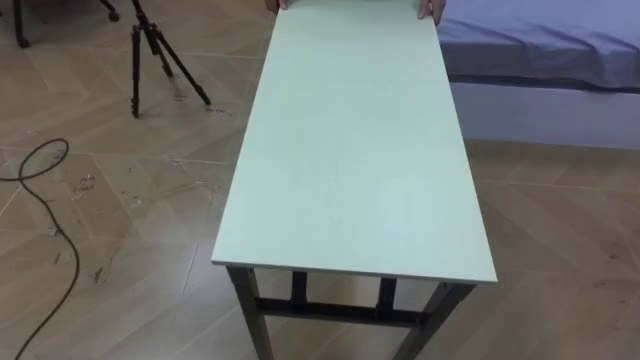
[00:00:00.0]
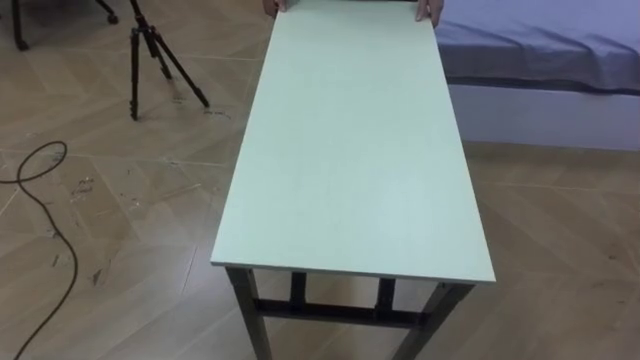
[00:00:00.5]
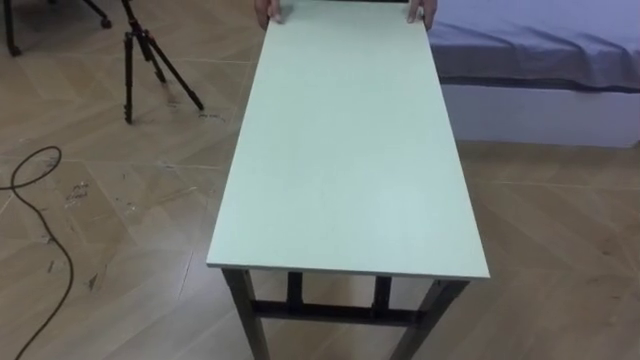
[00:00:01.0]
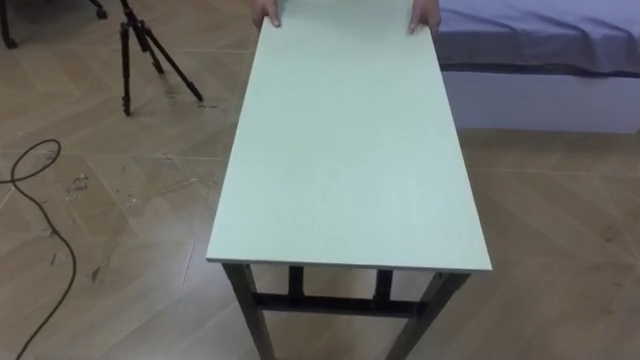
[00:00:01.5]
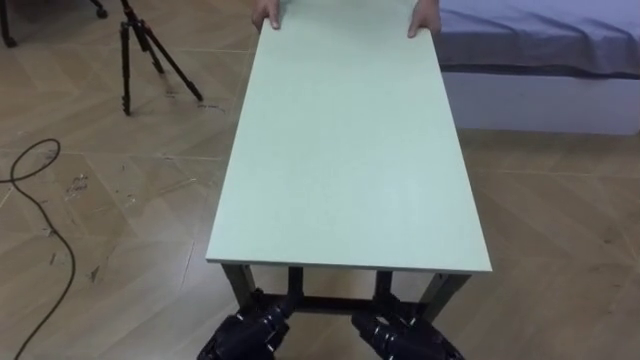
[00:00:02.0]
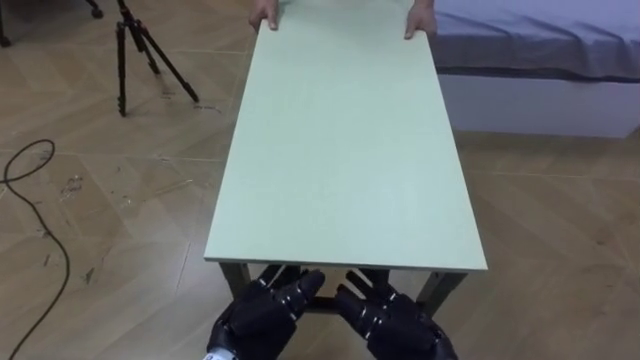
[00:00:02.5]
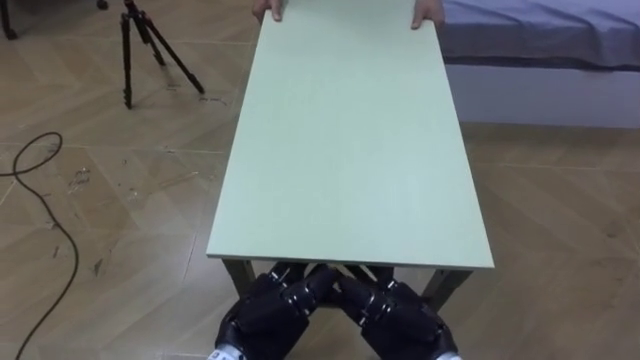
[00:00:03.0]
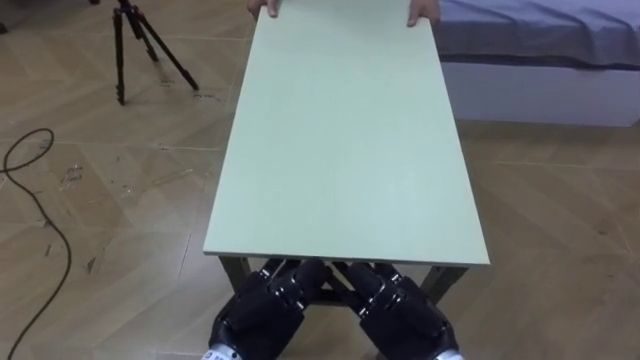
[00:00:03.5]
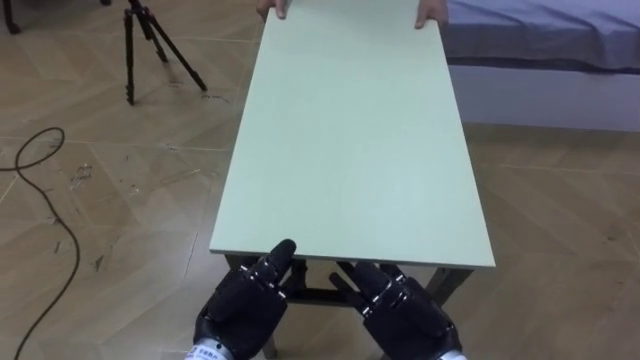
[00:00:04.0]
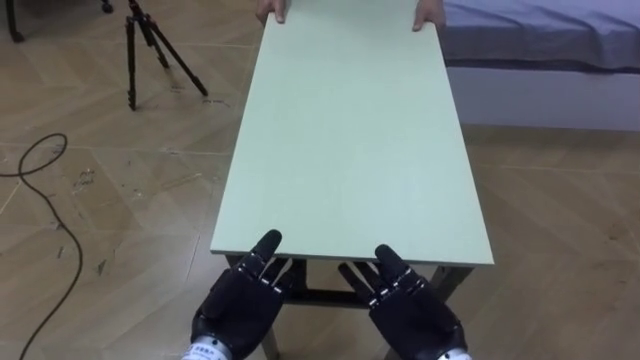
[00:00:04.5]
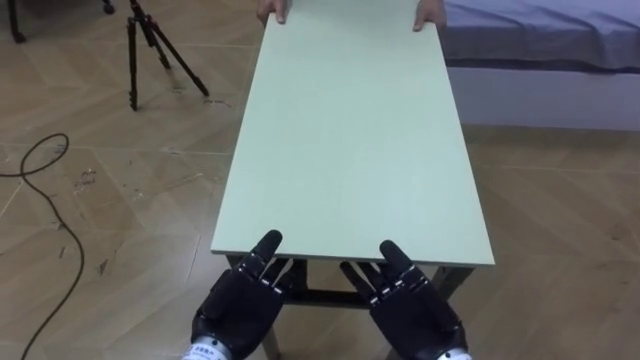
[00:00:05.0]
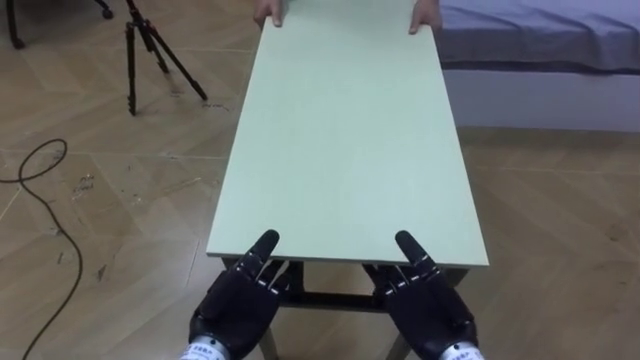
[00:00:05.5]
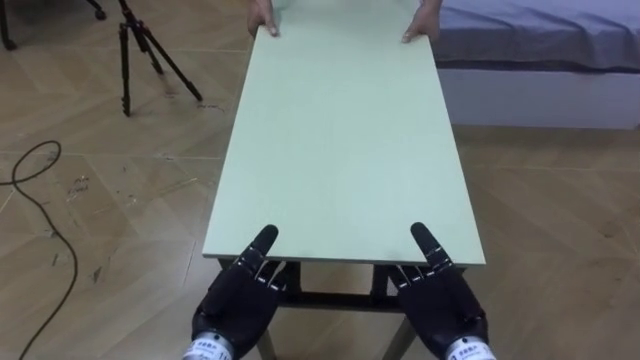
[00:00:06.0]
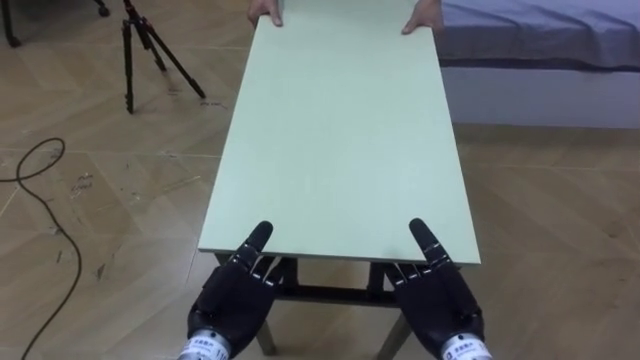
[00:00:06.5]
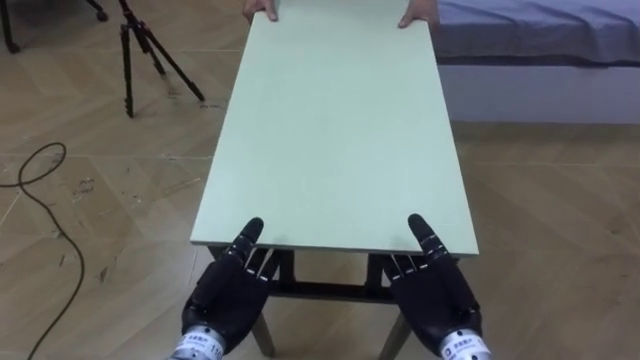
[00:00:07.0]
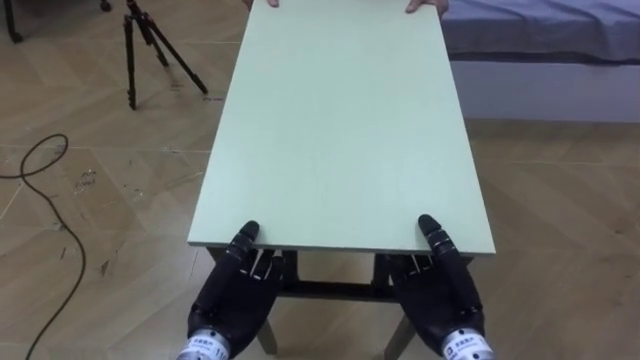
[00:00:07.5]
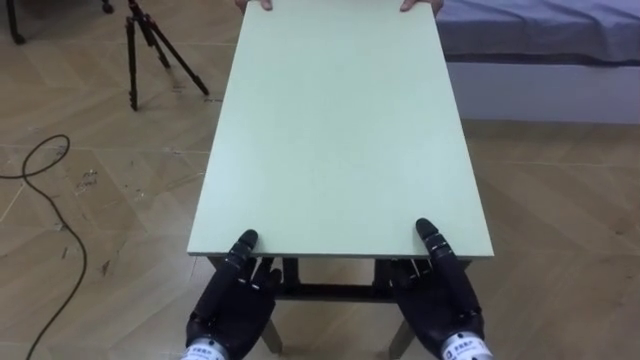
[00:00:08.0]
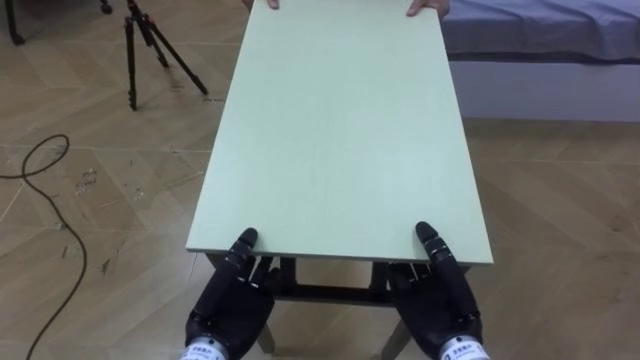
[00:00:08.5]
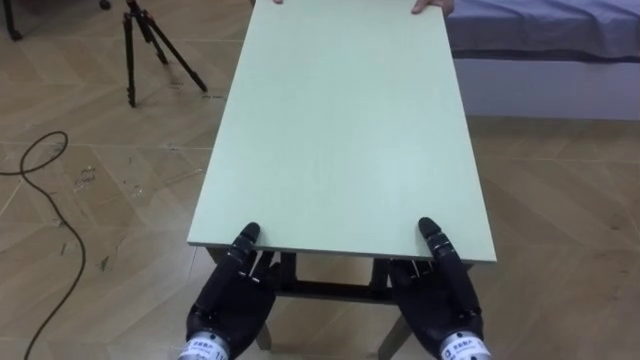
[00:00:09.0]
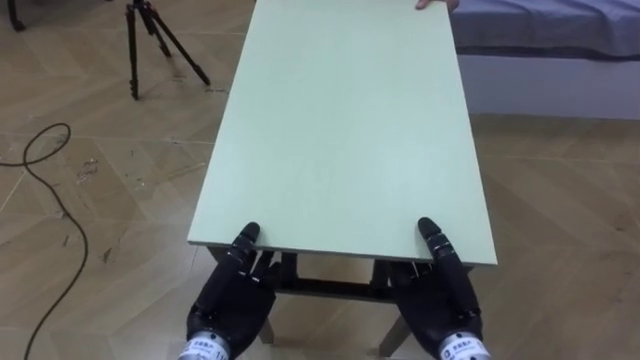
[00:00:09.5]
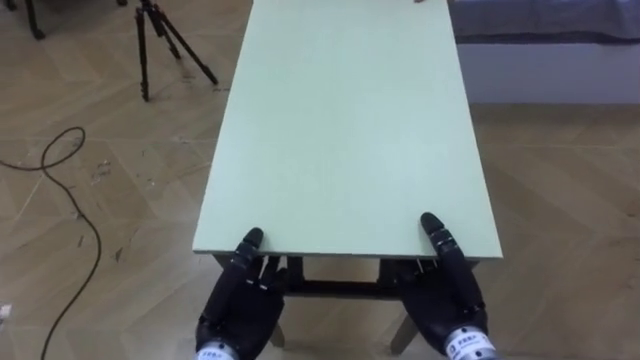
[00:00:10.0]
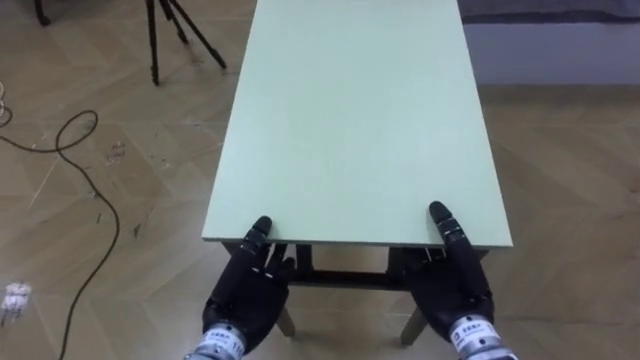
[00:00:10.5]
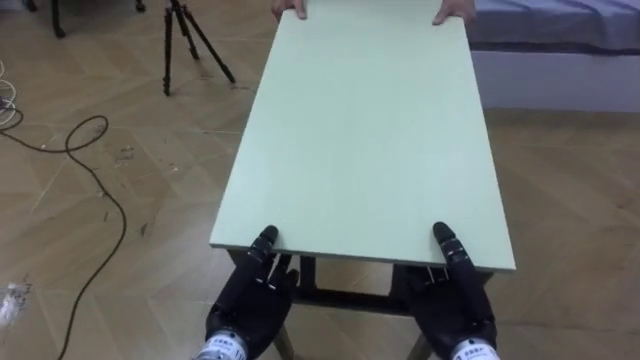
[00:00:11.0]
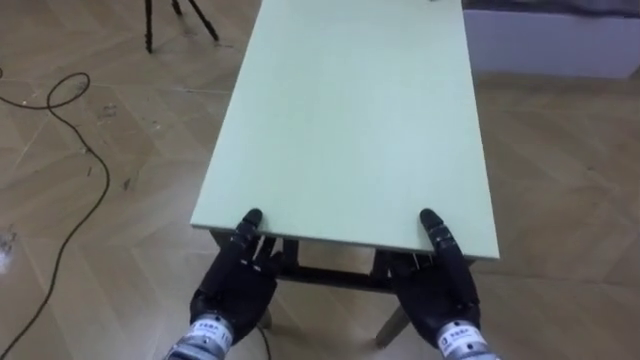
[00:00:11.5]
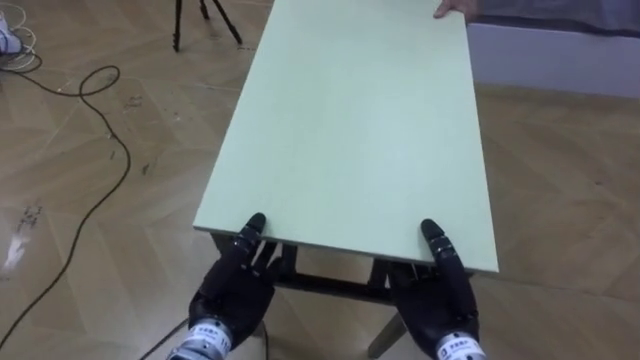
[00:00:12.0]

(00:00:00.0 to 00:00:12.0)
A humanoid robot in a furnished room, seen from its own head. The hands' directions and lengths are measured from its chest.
Task of the whole recording: Move the table to the back left with someone.
00:00:02.0 - 00:00:04.0: Both hands travel together upward, some 5 cm.
00:00:06.0 - 00:00:08.0: The right hand closes; the left hand closes its fingers.

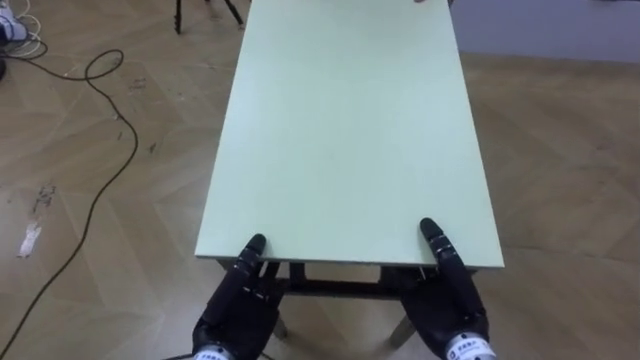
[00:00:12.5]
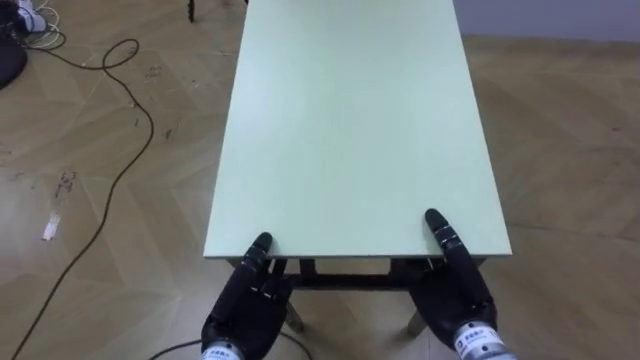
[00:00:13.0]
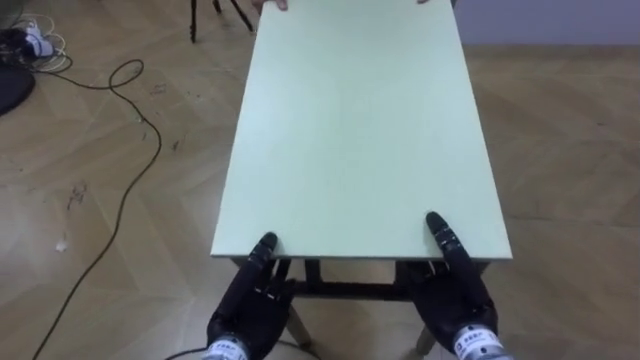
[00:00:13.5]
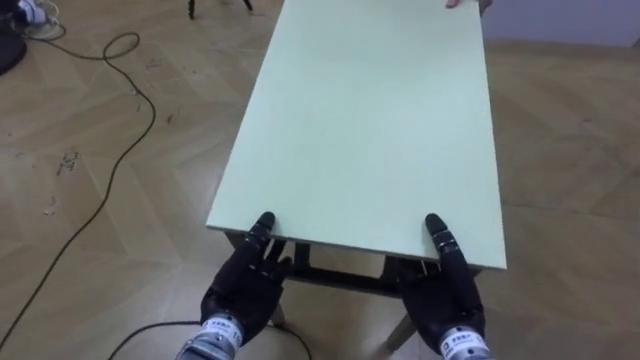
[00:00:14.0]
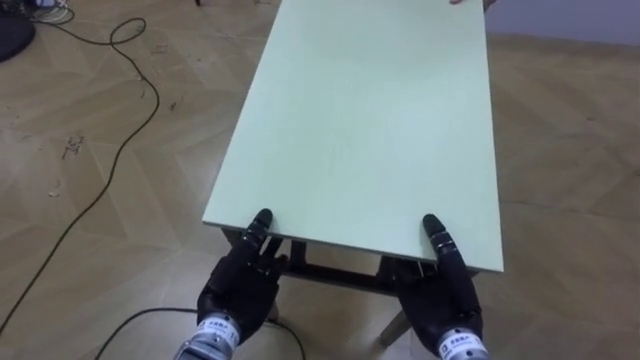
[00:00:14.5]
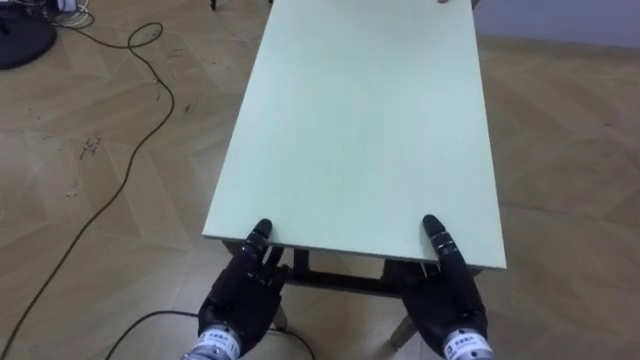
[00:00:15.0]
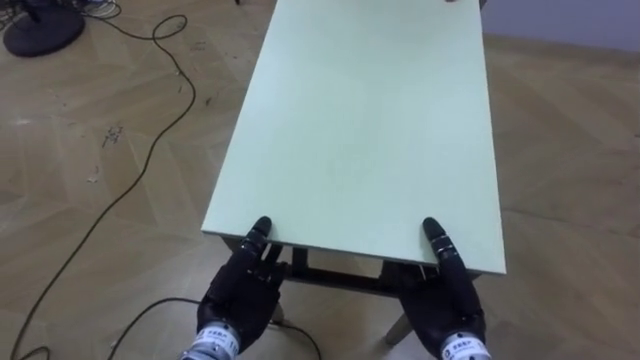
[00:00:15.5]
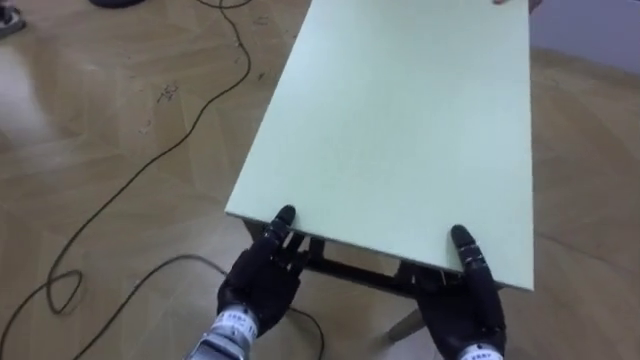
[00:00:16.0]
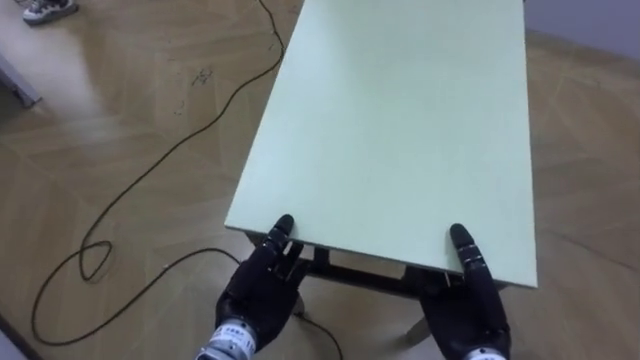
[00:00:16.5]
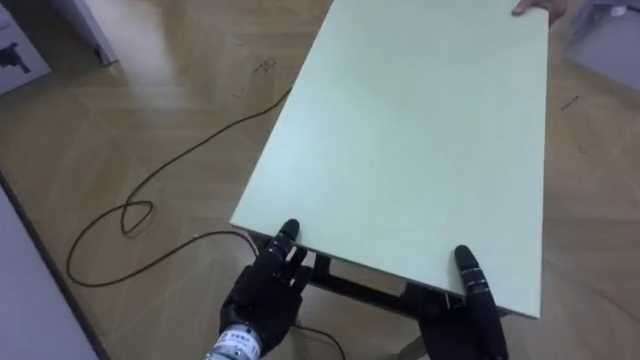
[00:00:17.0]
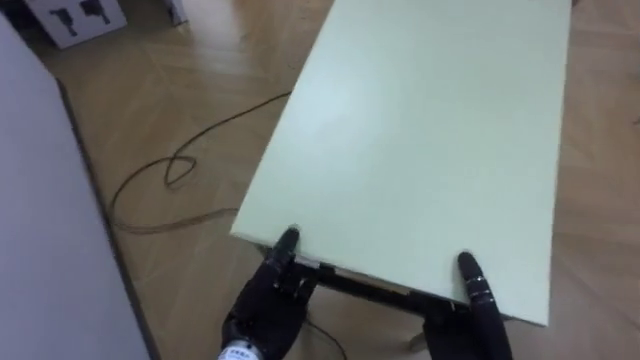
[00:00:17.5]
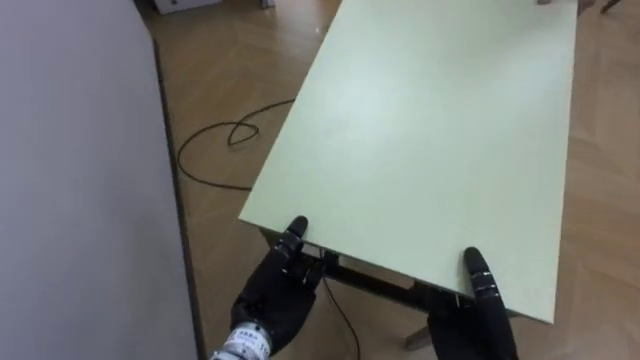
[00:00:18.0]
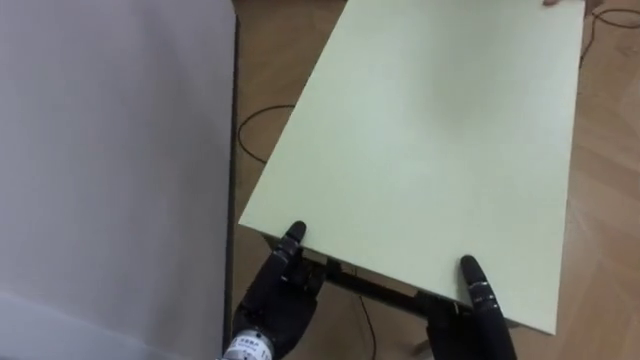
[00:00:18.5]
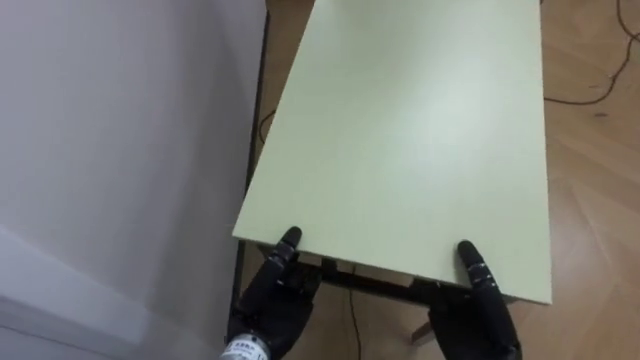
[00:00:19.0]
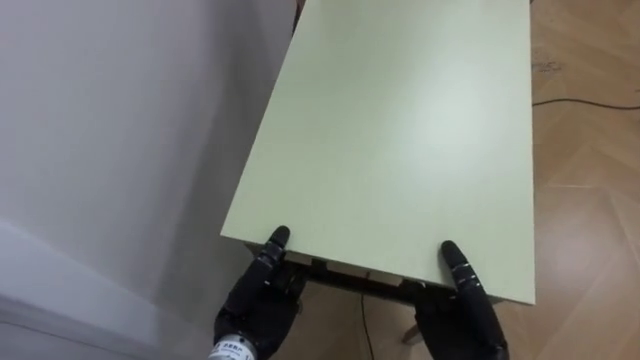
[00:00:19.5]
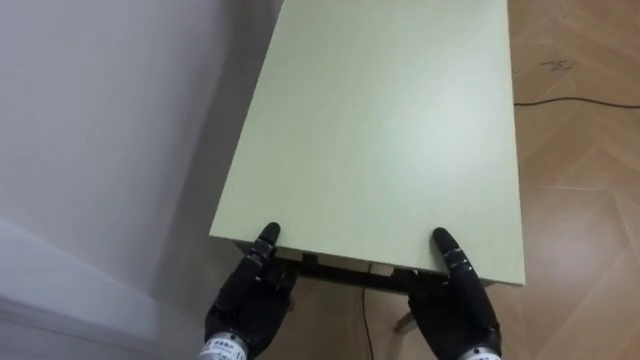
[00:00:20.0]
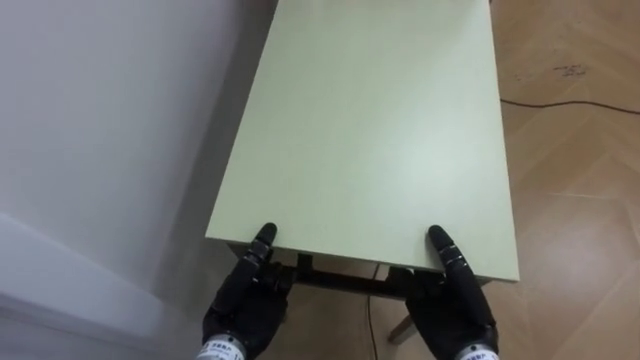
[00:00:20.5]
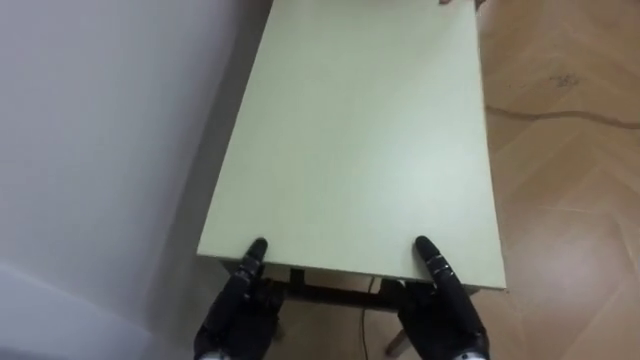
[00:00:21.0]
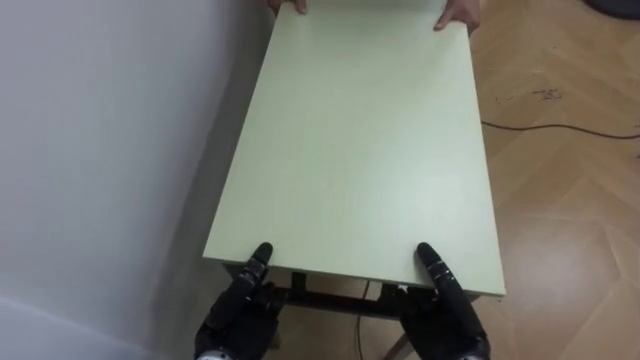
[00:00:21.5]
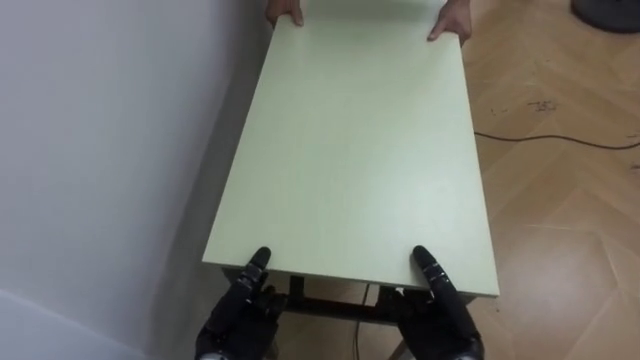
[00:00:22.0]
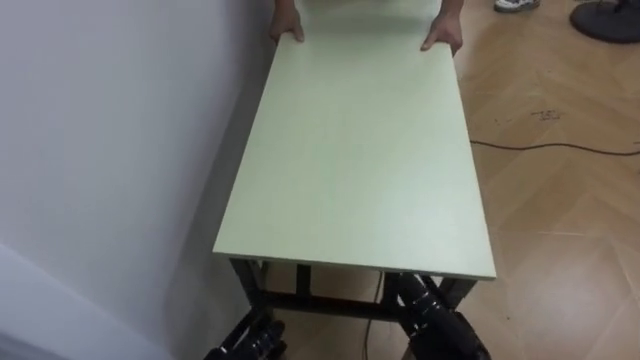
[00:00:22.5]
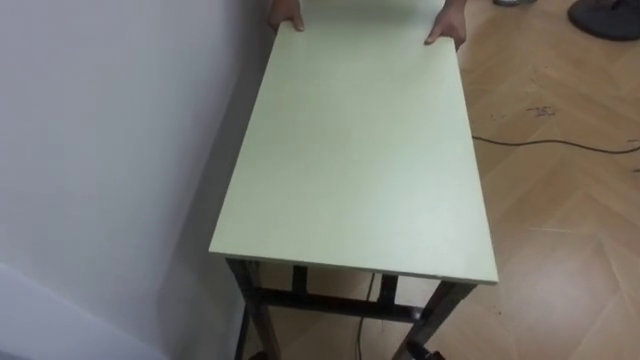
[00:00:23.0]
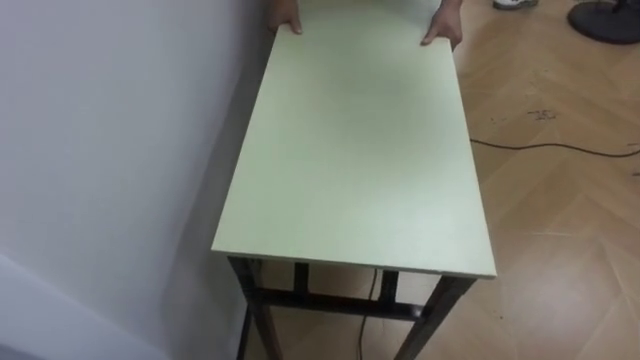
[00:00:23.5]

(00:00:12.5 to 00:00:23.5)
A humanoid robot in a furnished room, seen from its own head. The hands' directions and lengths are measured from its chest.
Task of the whole recording: Move the table to the back left with someone.
00:00:14.5 - 00:00:16.0: The robot's body swings about 20 degrees to its left.
00:00:16.0 - 00:00:18.0: The robot's body swings roughly 50 degrees to its left.
00:00:18.0 - 00:00:20.0: The robot turns to its left by roughly 20 degrees.
